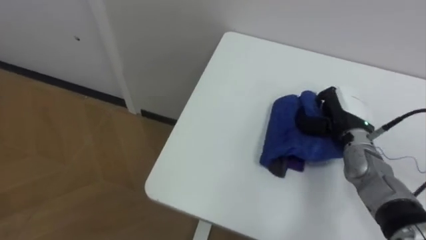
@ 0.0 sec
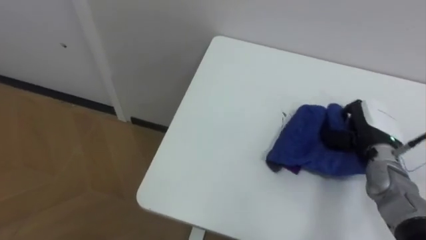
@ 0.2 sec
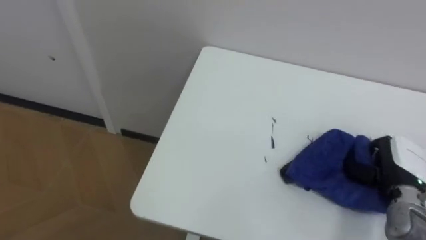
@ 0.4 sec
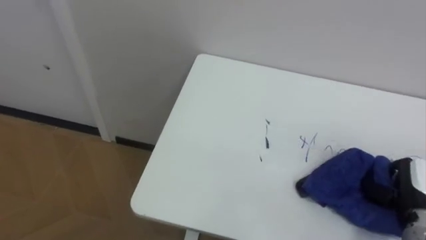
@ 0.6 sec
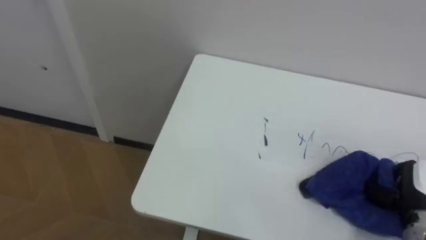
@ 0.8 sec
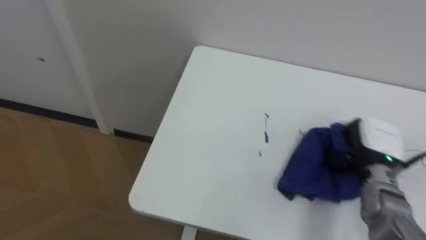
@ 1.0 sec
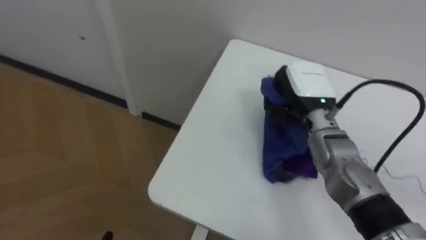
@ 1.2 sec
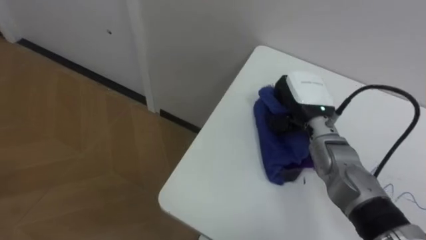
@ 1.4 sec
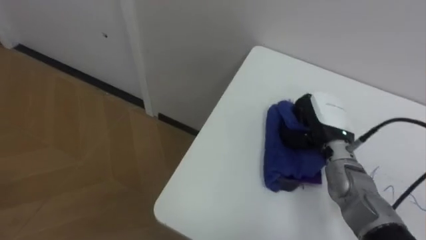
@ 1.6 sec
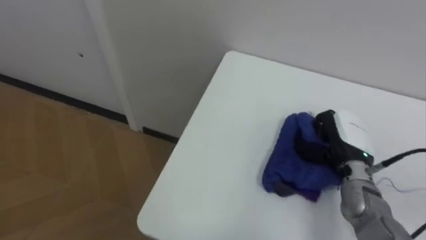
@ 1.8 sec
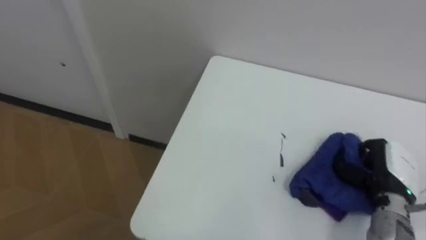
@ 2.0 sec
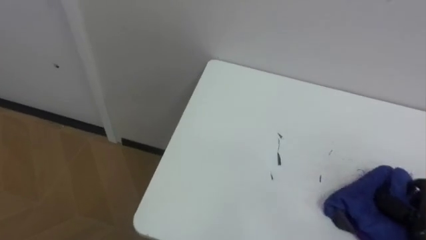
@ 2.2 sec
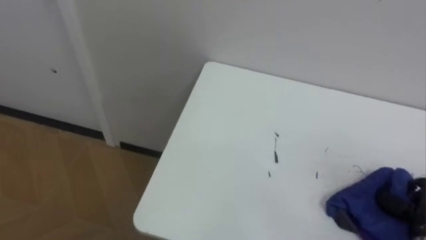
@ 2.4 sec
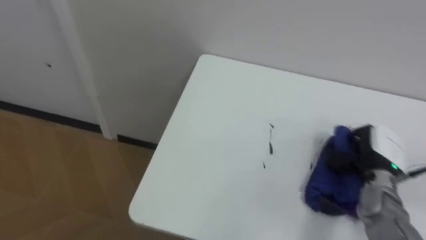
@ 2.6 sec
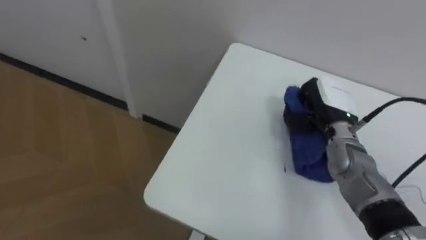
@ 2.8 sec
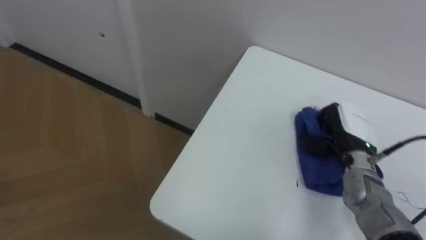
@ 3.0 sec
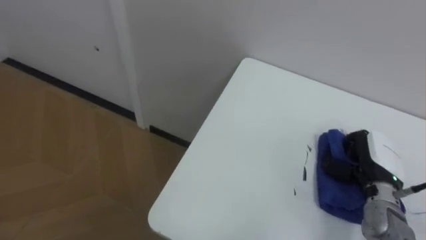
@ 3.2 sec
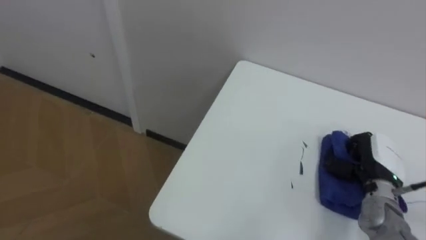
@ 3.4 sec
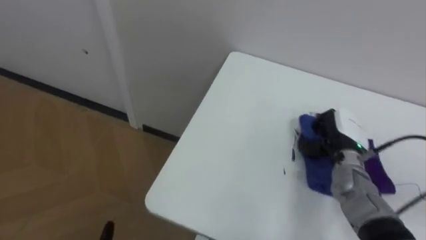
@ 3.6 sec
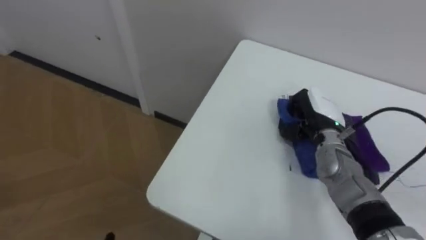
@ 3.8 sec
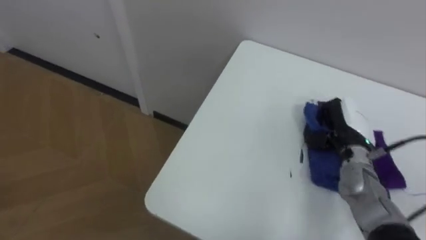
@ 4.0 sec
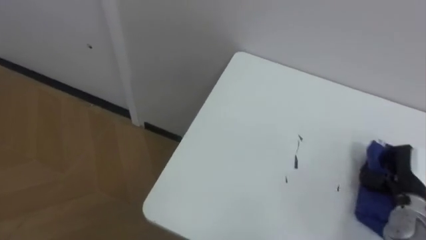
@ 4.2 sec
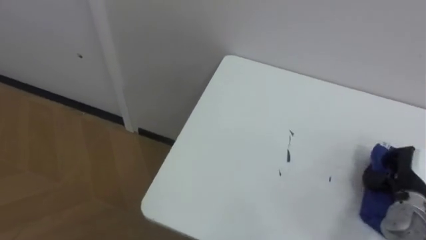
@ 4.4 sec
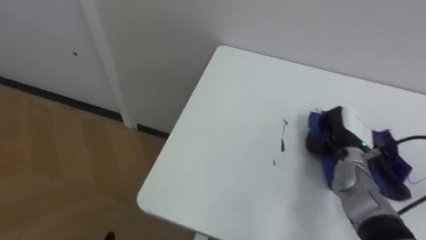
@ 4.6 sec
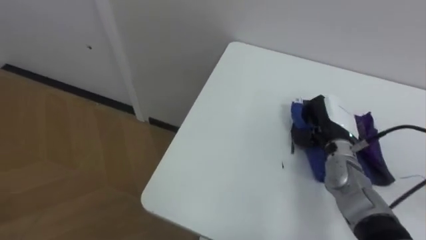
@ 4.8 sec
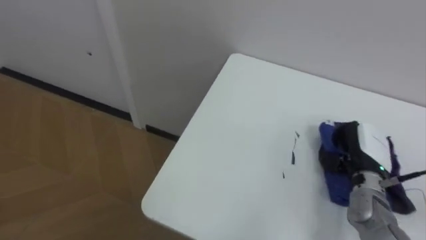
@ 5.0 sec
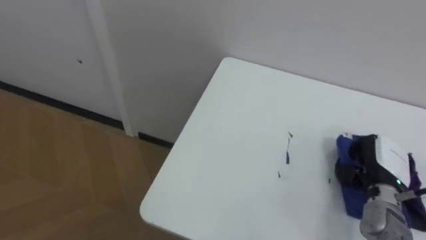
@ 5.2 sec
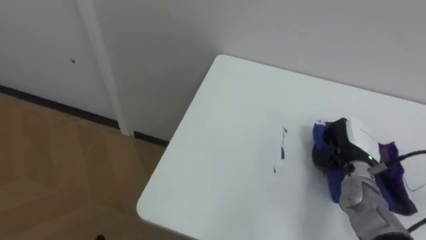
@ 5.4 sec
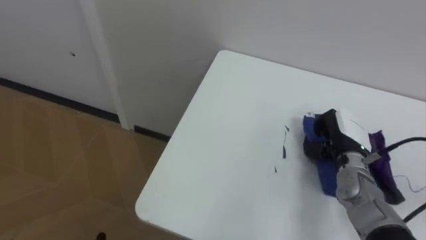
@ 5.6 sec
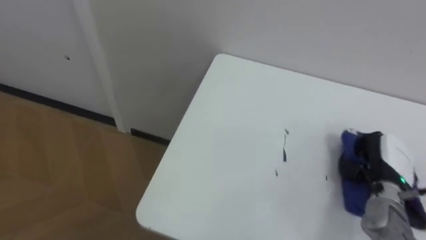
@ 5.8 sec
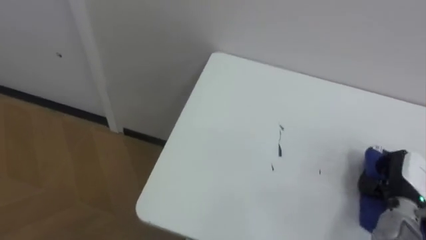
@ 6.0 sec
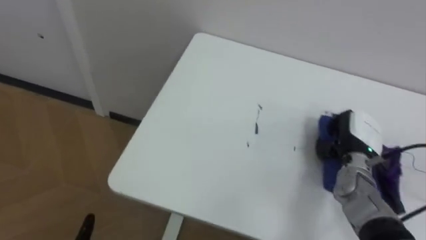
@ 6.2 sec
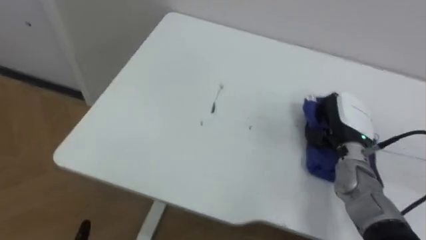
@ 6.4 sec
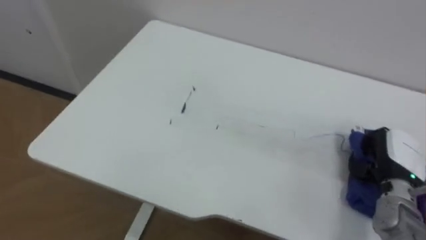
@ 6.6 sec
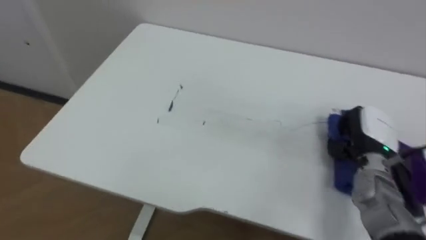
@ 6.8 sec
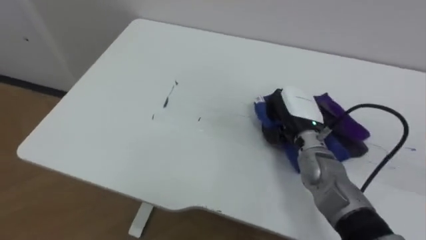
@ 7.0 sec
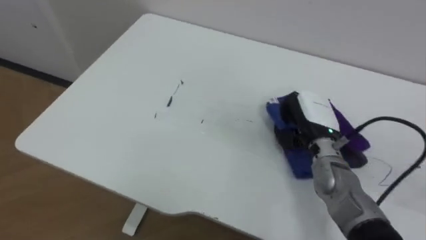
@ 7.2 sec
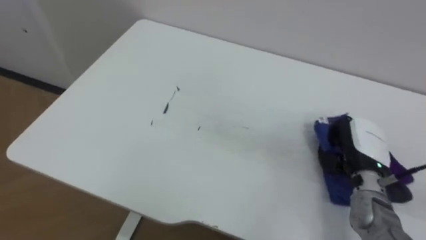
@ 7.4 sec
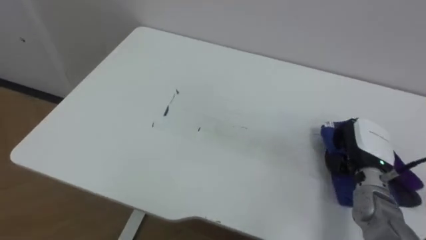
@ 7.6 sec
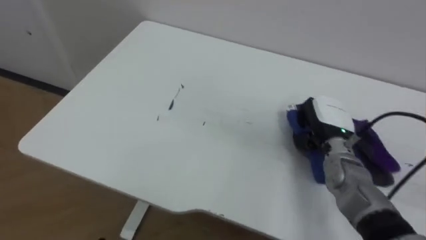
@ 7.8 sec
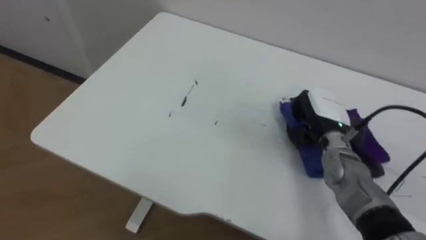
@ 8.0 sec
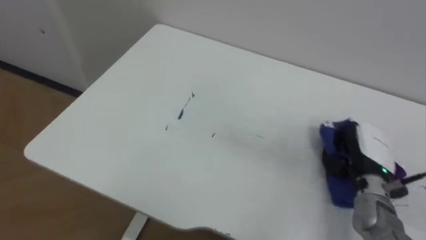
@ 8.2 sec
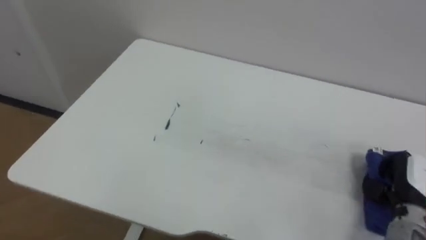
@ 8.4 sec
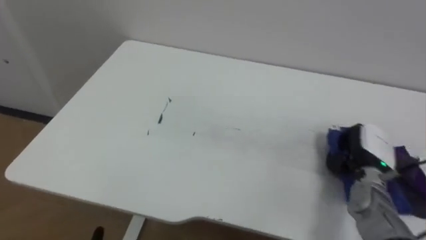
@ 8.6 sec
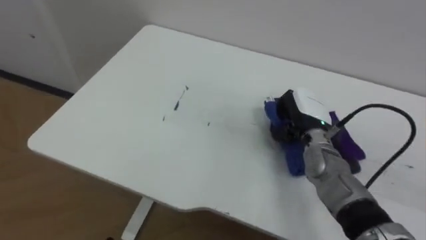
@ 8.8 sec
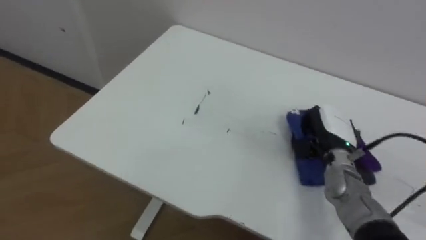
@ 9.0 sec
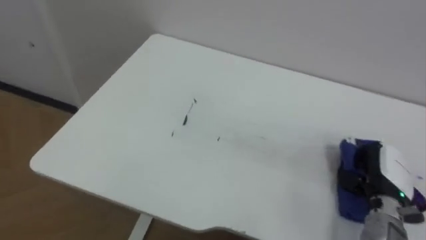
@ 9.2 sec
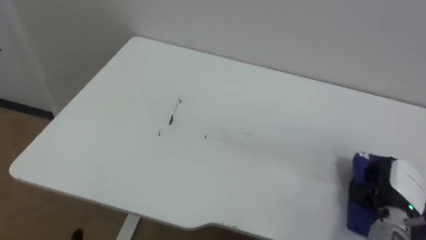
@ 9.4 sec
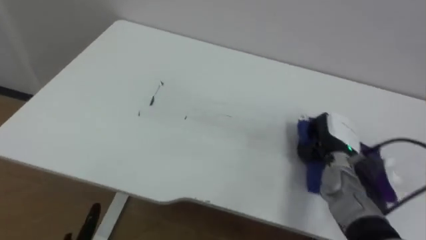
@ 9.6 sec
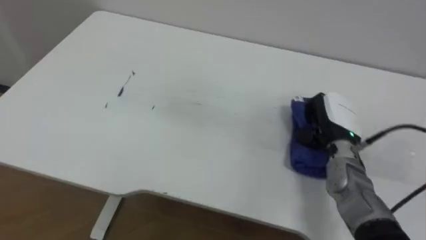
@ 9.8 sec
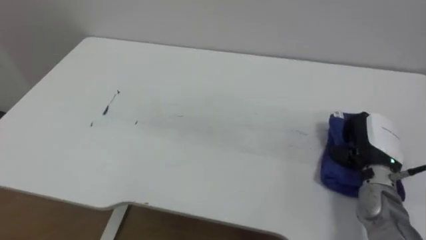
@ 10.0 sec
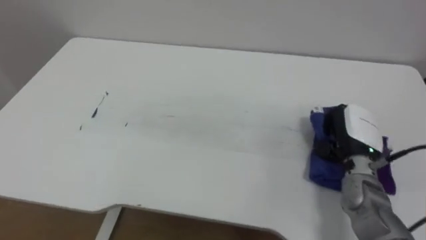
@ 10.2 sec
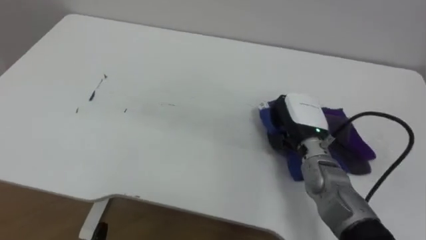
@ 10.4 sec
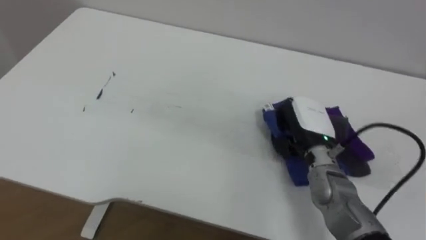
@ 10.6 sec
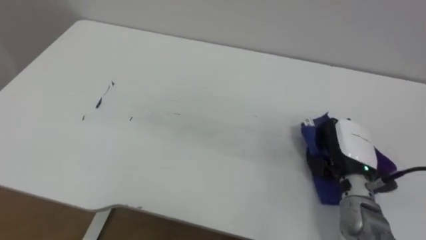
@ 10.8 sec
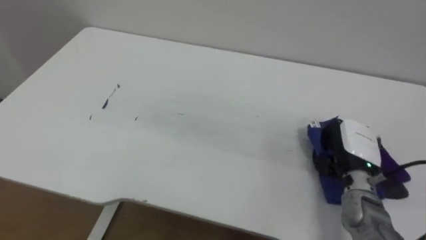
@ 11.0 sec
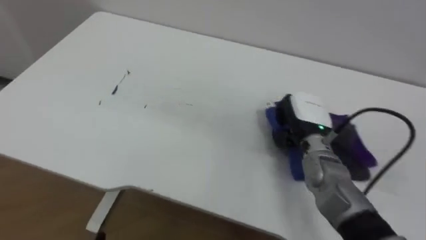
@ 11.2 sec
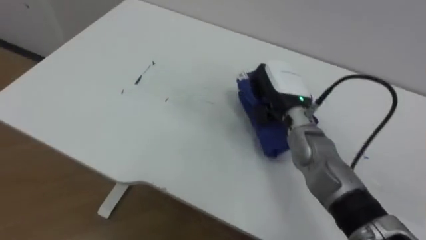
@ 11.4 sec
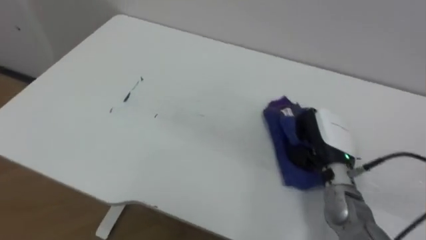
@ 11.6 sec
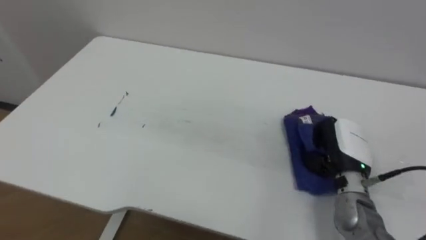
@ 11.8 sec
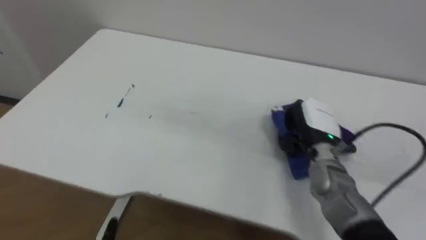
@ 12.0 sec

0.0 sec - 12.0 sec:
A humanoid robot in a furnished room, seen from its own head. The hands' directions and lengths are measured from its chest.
Task of the whole recording: Wipe the blue pen marks off the table with the rag.
0.0 sec - 1.6 sec: The right hand swings left and right, some 20 cm each way, with 2 reversals.
3.0 sec - 4.4 sec: The right hand swings left and right, some 15 cm each way, with 2 reversals.
4.4 sec - 6.0 sec: The right hand goes left and right, about 15 cm each way, reversing 3 times.
6.0 sec - 7.6 sec: The right hand swings left and right, approximately 20 cm each way, with 3 reversals.
7.6 sec - 9.0 sec: The right hand moves left and right over roughly 20 cm, changing direction 3 times.
9.0 sec - 10.4 sec: The right hand goes left and right, roughly 15 cm each way, reversing 3 times.
10.4 sec - 12.0 sec: The right hand goes left and right, about 15 cm each way, reversing 3 times.

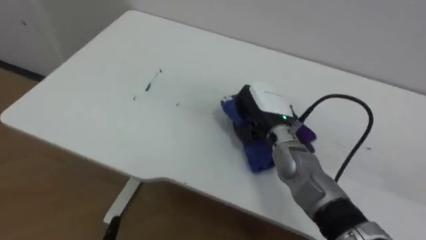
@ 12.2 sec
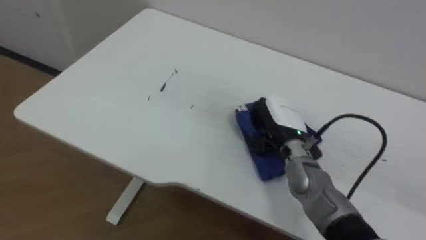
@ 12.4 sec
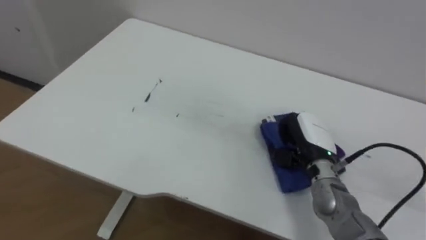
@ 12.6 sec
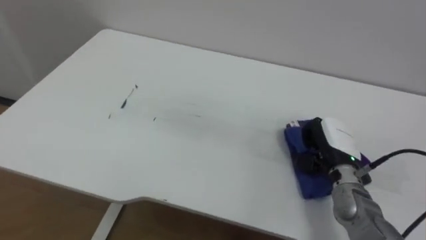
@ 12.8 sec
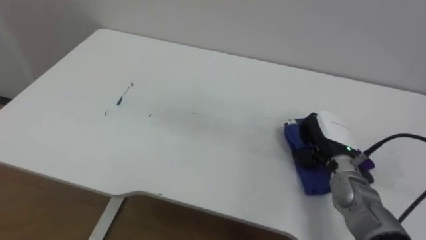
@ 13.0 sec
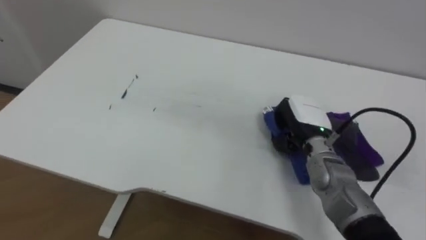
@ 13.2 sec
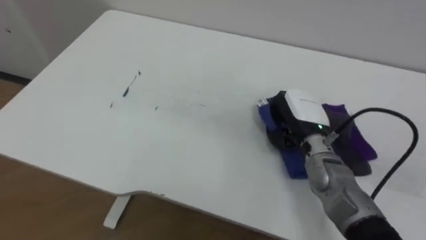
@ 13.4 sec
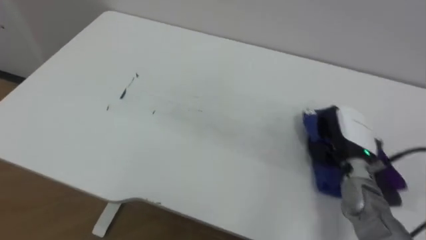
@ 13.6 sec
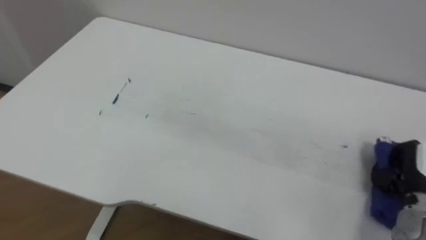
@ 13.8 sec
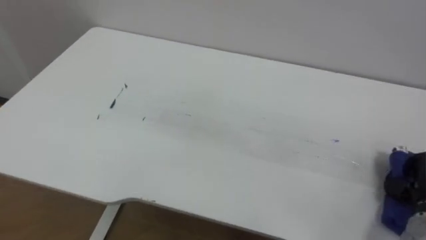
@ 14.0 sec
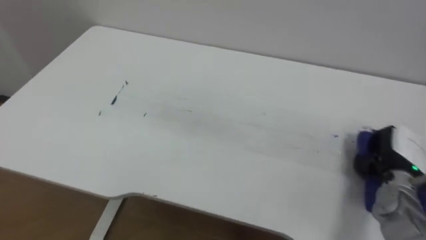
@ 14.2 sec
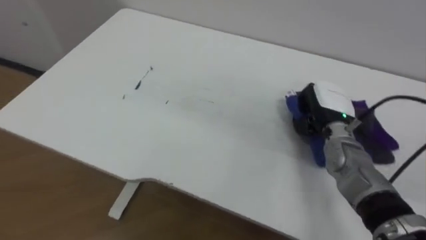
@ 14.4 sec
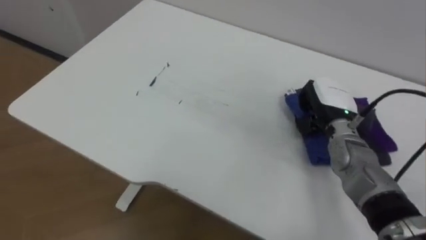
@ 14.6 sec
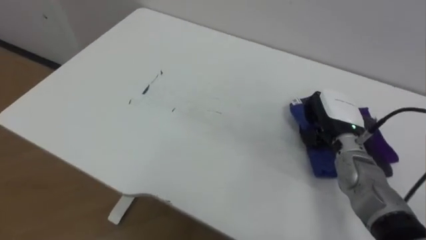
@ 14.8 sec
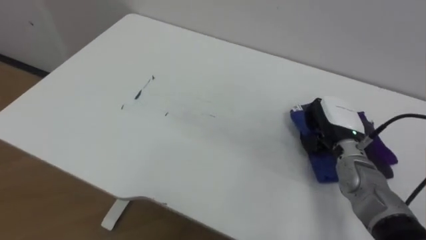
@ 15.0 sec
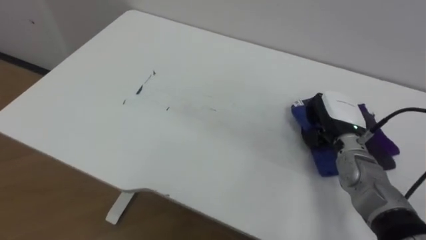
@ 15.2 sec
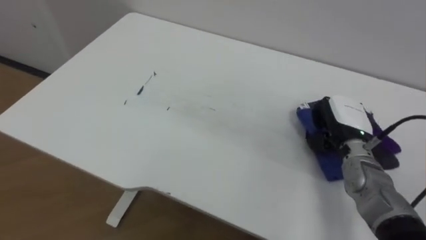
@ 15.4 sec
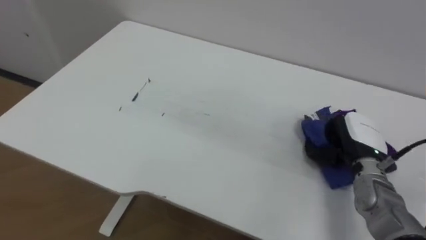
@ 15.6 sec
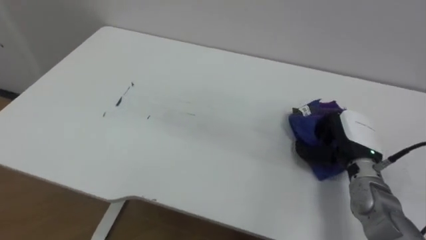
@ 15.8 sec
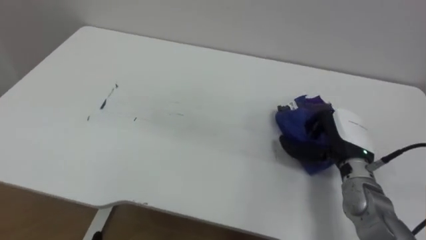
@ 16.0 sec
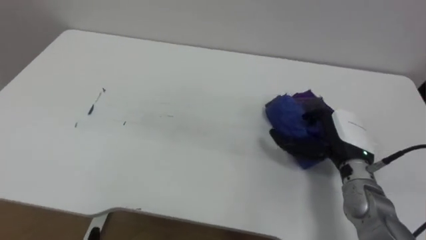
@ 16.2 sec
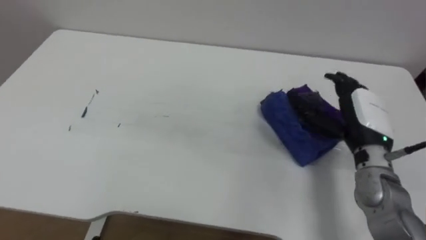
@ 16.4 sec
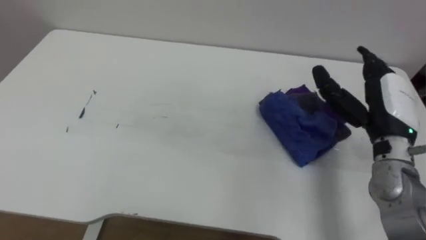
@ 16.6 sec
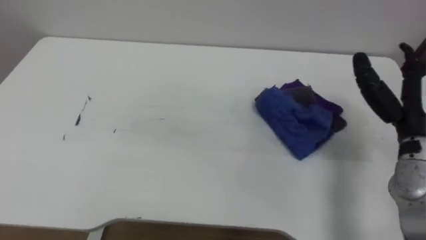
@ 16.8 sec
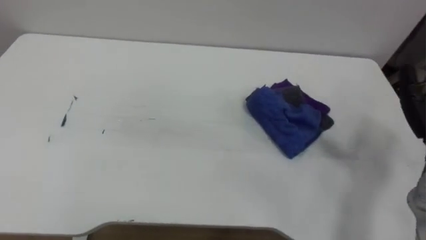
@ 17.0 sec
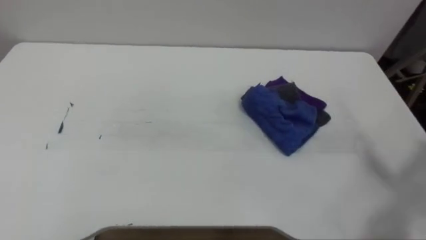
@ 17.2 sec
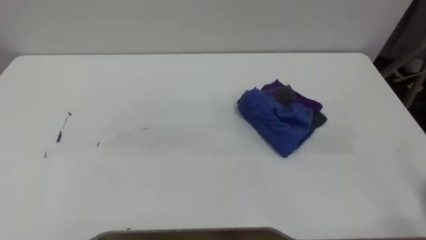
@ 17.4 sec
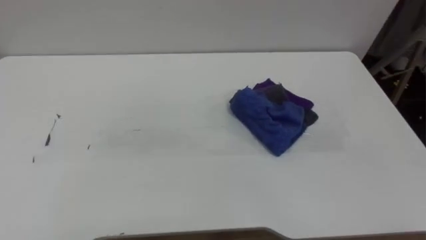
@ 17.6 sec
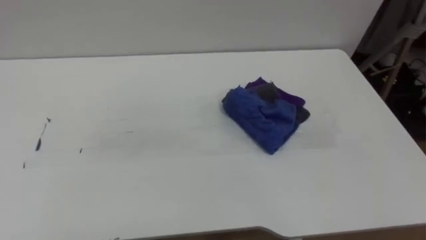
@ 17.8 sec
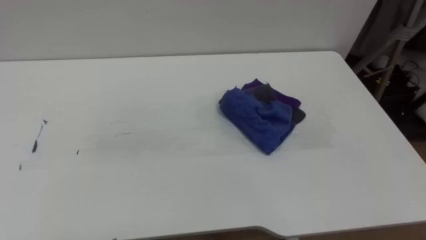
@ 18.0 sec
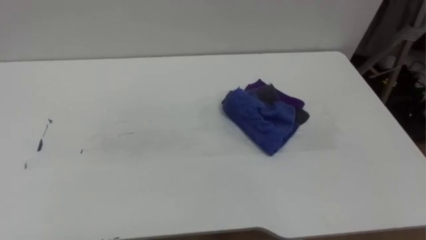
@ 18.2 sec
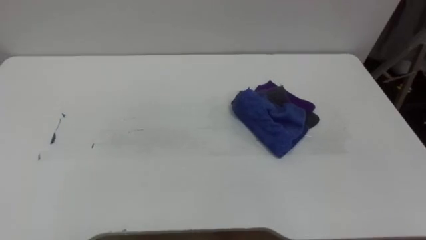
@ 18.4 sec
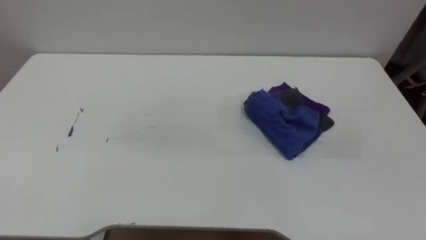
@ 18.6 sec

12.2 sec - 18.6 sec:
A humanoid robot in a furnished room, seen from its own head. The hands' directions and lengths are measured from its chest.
Task of the whole recording: Wipe the blue pen marks off the table with the rag.
12.2 sec - 13.8 sec: The right hand goes left and right, some 30 cm each way, reversing 2 times.
